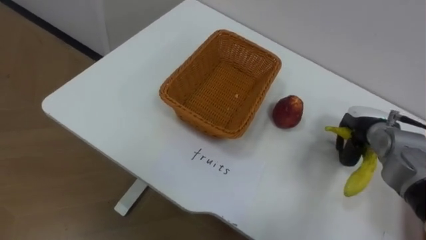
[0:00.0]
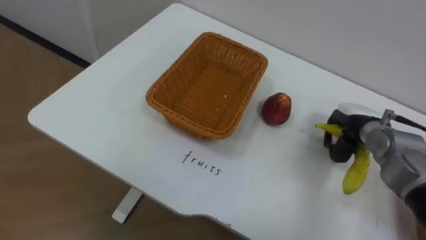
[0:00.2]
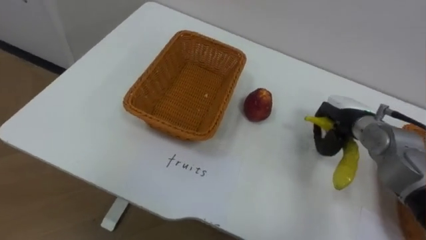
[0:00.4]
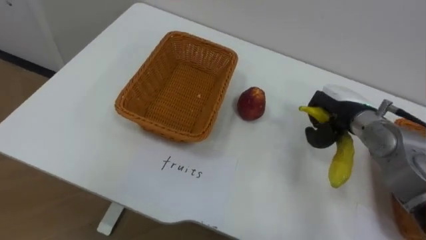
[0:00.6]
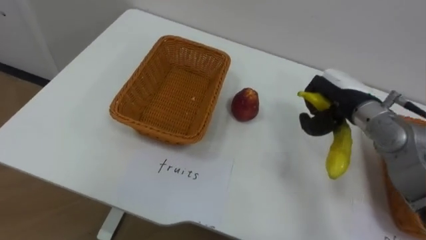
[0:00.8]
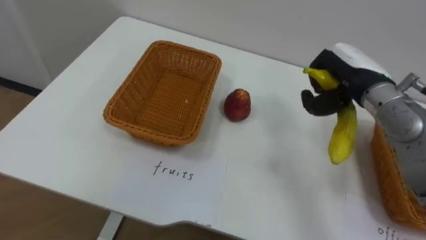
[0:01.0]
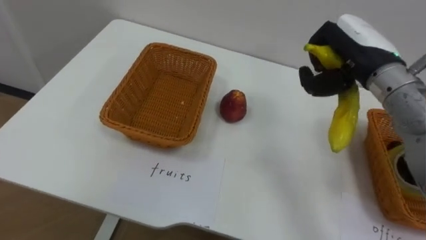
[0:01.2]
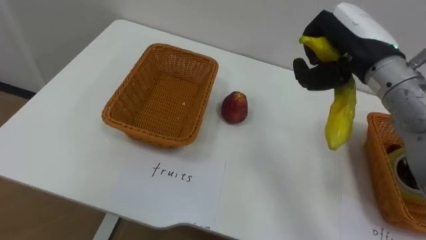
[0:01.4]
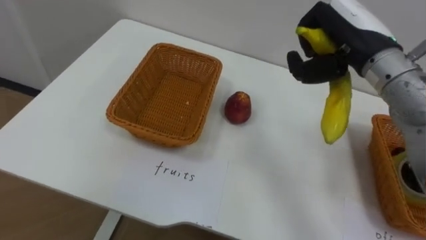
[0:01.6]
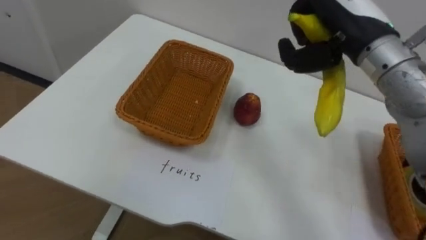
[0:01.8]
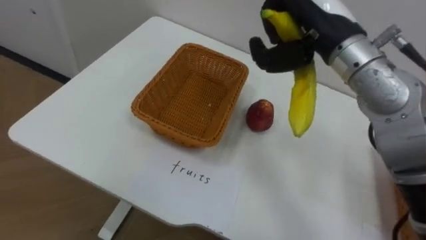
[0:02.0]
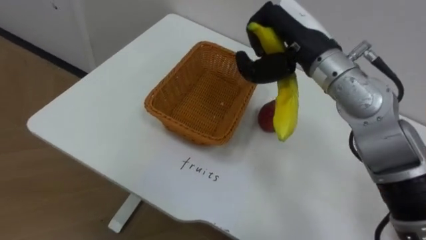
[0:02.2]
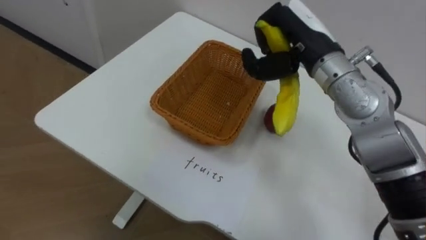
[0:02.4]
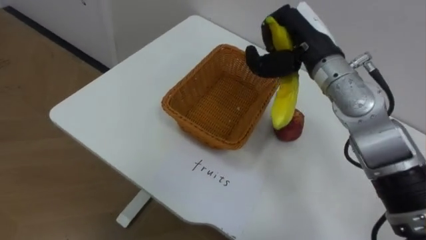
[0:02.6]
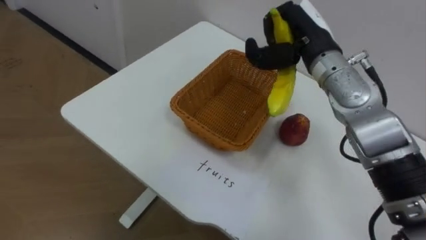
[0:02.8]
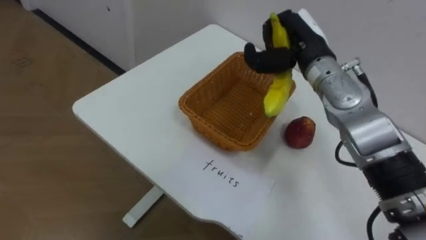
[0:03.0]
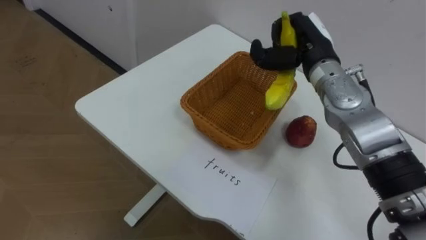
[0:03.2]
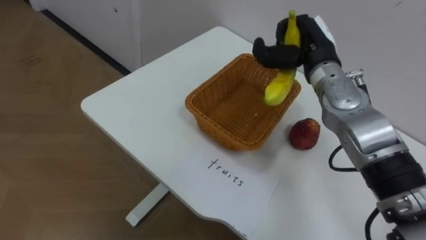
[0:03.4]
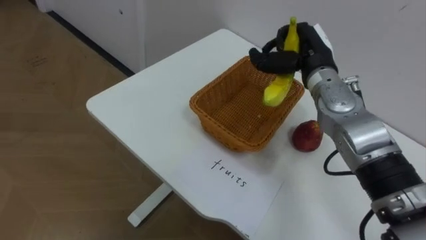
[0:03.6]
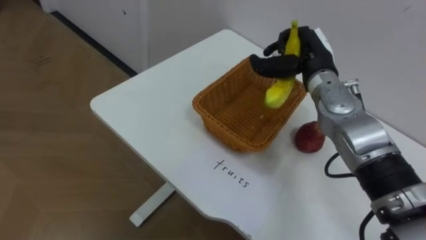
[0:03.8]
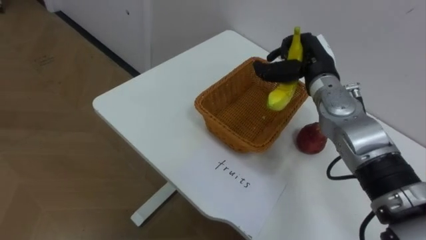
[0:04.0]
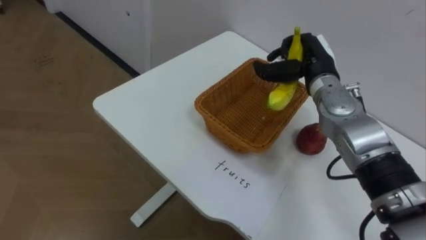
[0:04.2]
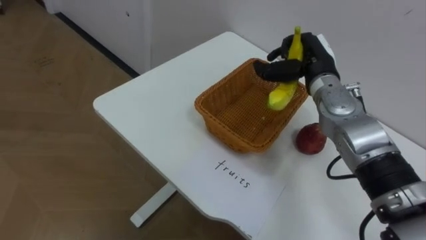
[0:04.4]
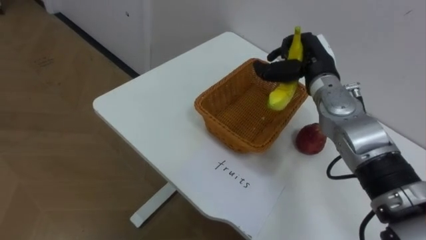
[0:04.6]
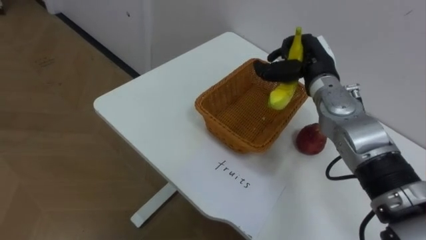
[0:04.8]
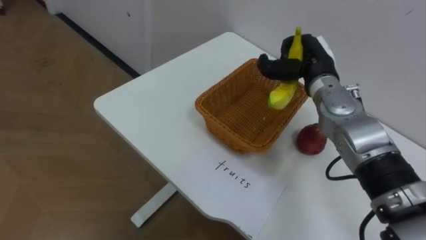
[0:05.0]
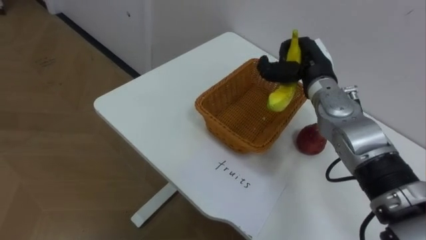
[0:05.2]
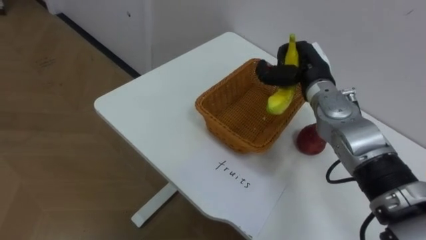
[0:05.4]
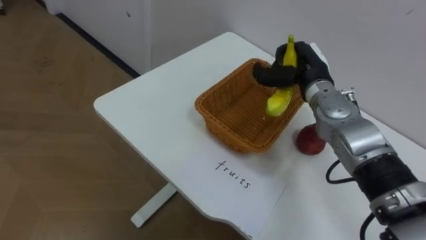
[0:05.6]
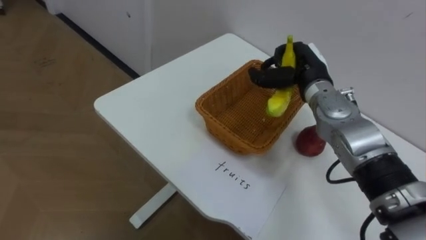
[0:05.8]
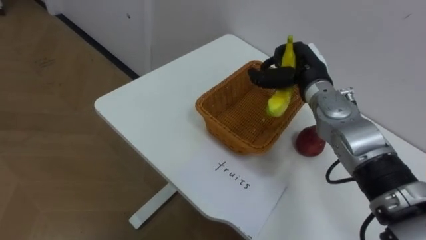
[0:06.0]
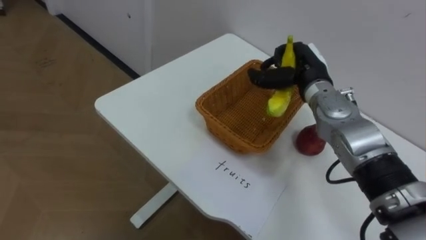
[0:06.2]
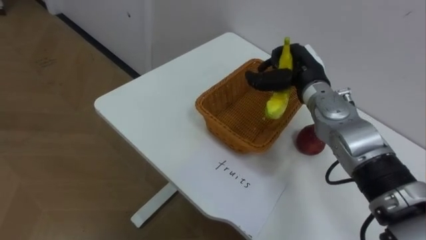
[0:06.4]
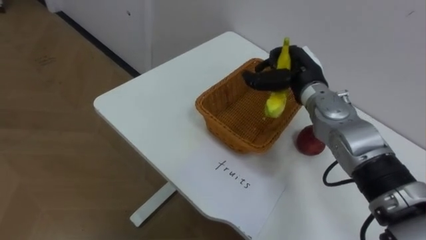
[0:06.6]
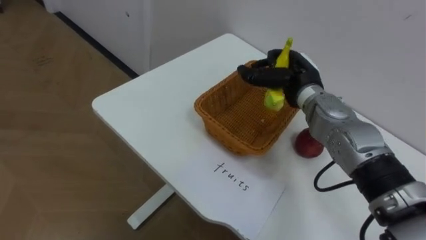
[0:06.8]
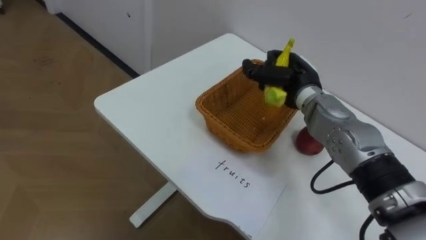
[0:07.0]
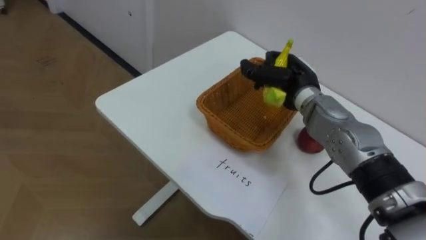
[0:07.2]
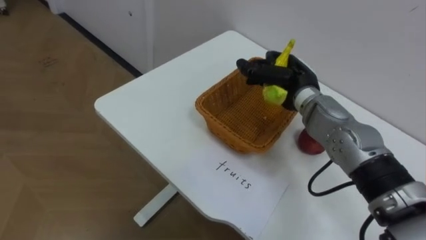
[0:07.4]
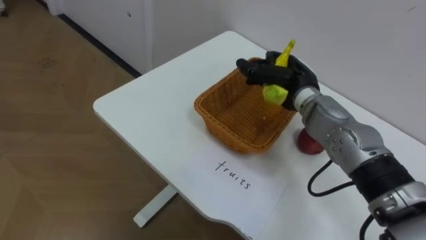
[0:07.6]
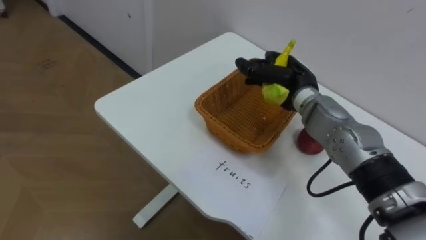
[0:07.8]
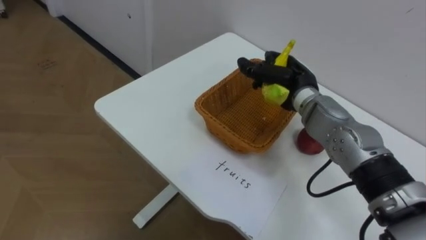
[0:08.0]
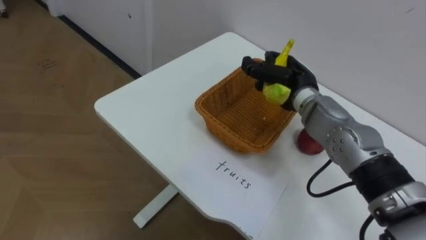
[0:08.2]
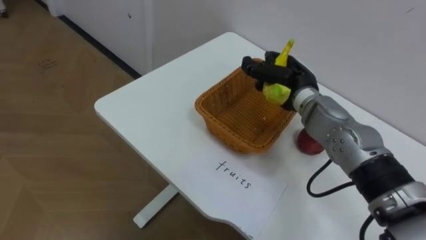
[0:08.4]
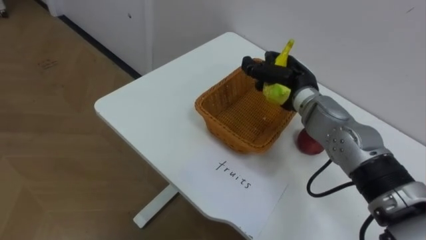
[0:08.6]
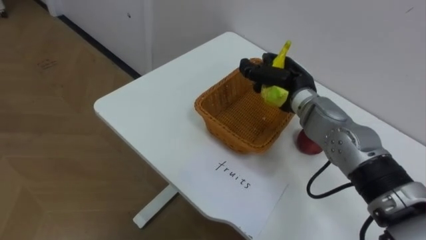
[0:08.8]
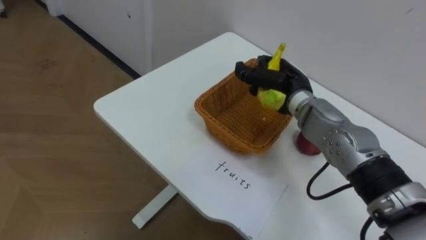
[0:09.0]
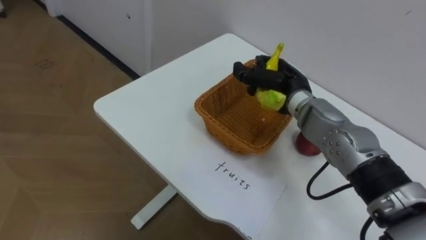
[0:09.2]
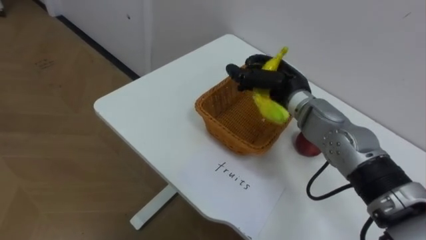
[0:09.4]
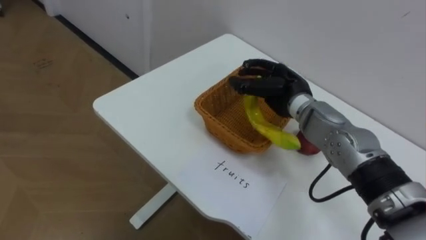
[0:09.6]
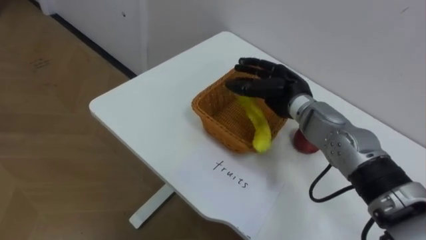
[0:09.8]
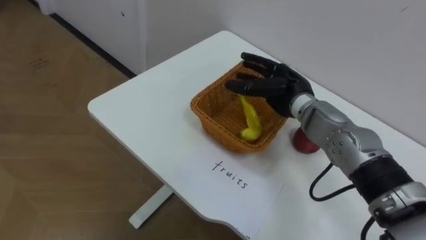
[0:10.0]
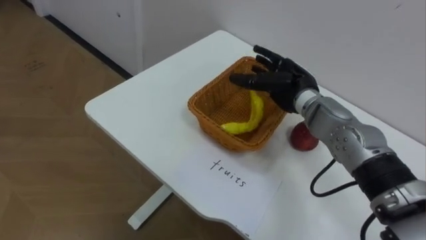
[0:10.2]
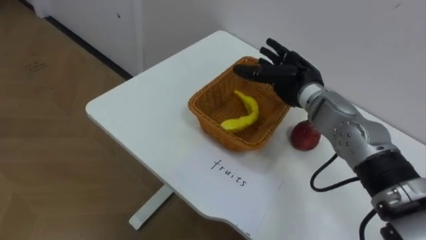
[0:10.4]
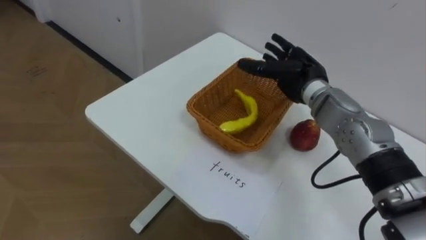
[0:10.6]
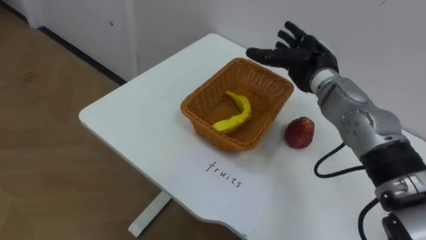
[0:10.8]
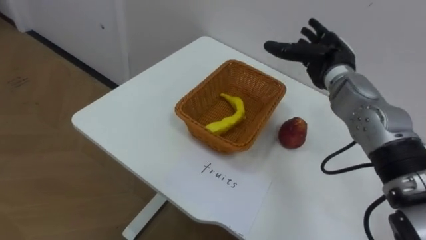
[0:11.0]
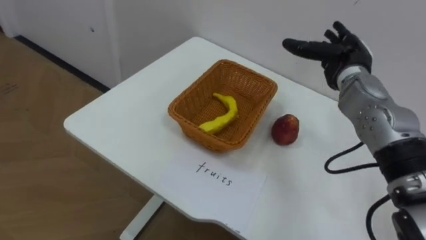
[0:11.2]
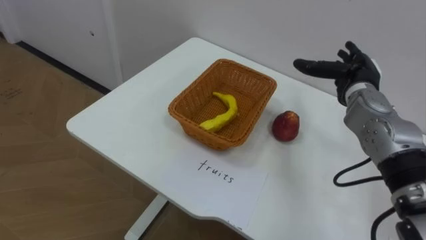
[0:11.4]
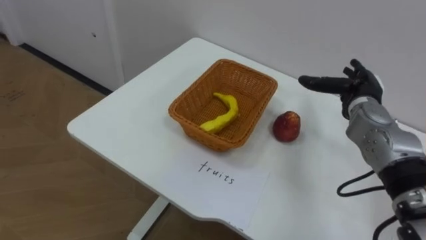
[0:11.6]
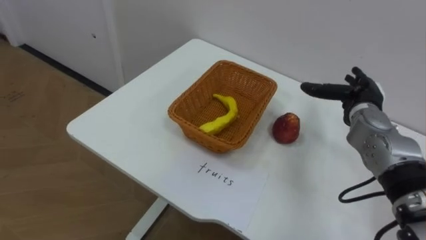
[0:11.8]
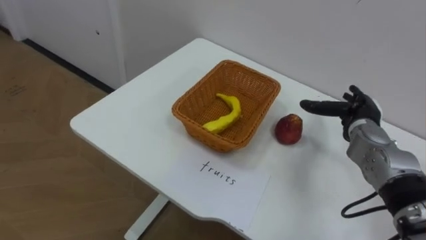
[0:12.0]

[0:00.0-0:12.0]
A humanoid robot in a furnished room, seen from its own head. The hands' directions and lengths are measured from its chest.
Task of the whole recording: Separate the items on the table and place them into the two baskets.
0:00.0 to 0:01.6: The right hand shifts approximately 25 cm upward and to the left.
0:01.6 to 0:03.0: The right hand shifts some 10 cm downward, to the left and forward.
0:03.0 to 0:04.4: The right hand ends up approximately 5 cm from where it was.
0:09.0 to 0:10.4: The right hand opens.
0:10.4 to 0:12.0: The right hand moves to the right and downward, some 15 cm.

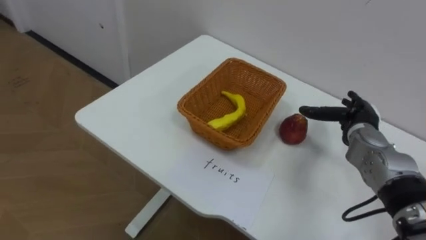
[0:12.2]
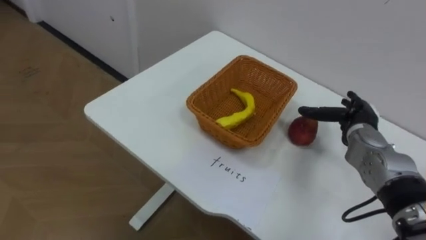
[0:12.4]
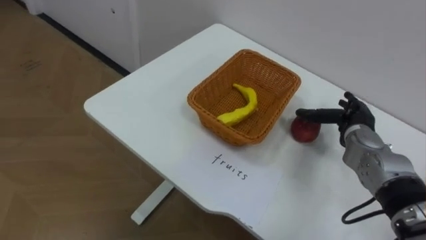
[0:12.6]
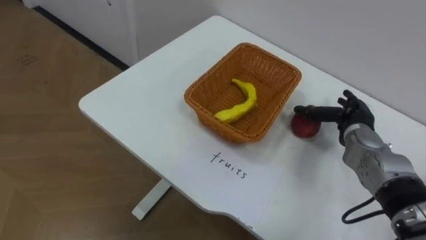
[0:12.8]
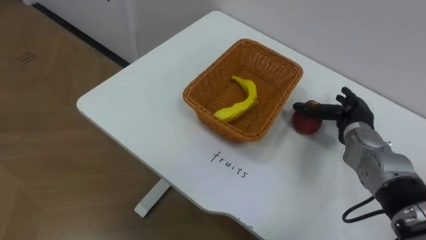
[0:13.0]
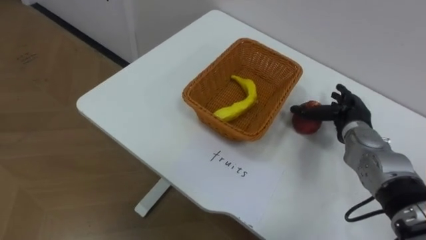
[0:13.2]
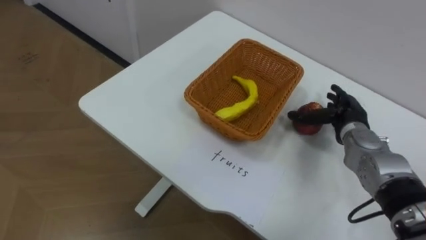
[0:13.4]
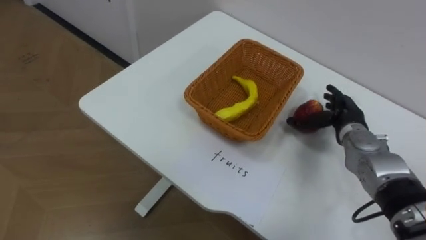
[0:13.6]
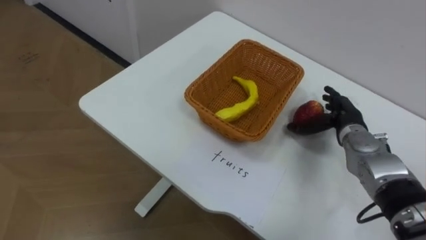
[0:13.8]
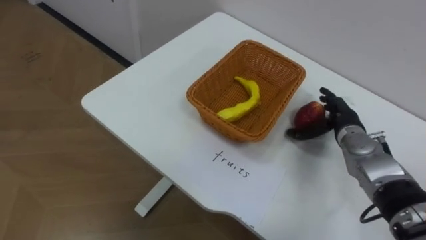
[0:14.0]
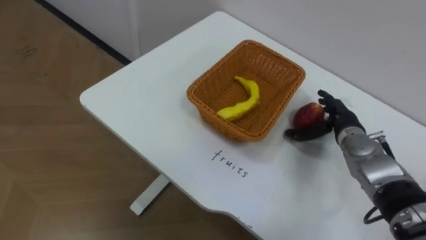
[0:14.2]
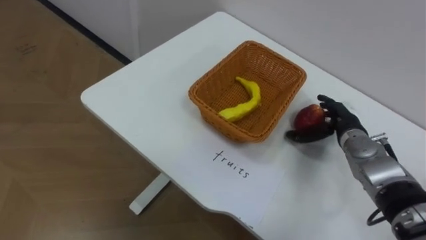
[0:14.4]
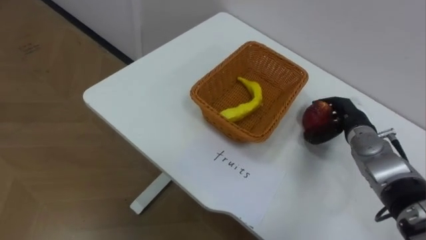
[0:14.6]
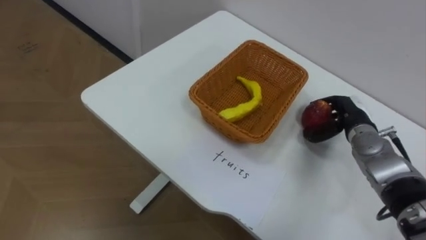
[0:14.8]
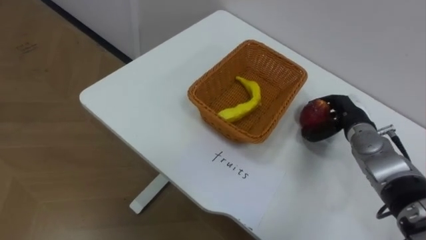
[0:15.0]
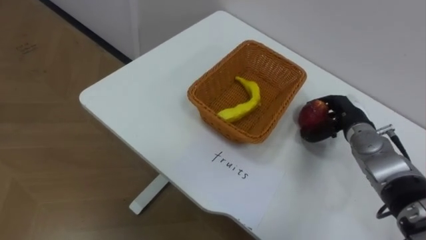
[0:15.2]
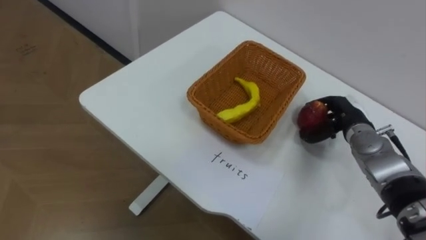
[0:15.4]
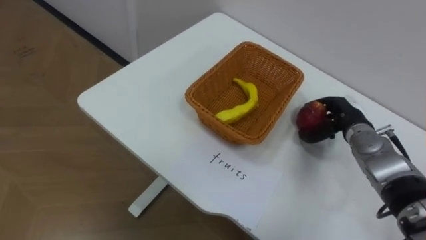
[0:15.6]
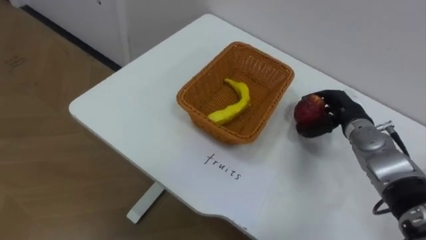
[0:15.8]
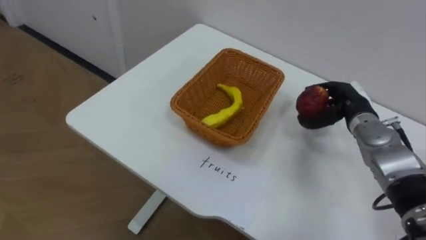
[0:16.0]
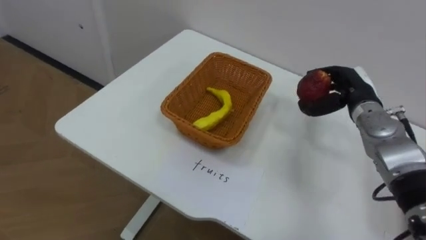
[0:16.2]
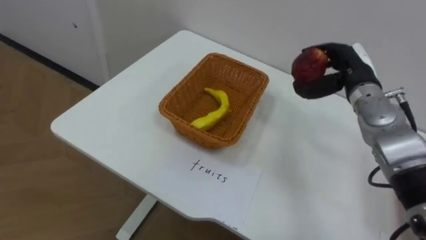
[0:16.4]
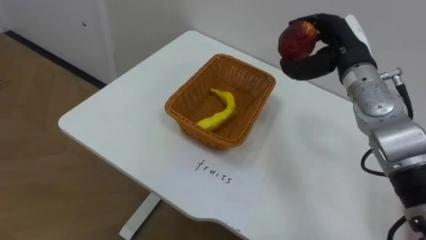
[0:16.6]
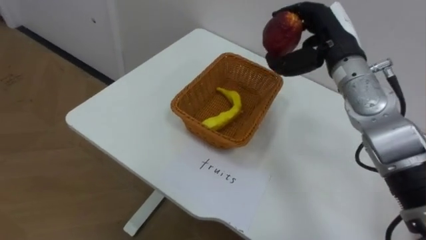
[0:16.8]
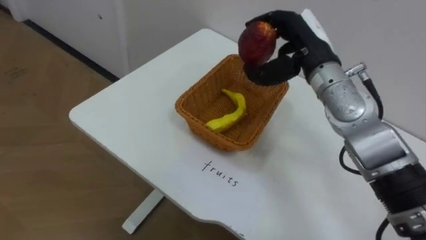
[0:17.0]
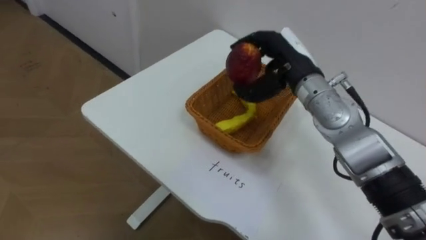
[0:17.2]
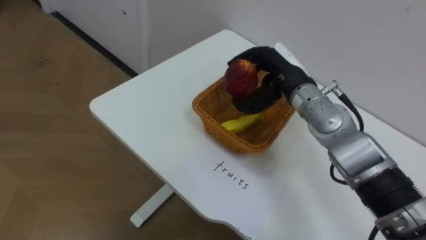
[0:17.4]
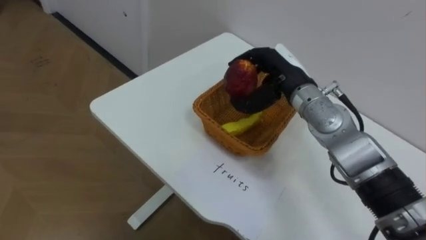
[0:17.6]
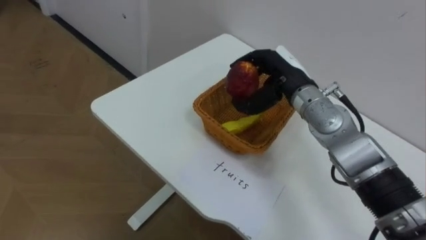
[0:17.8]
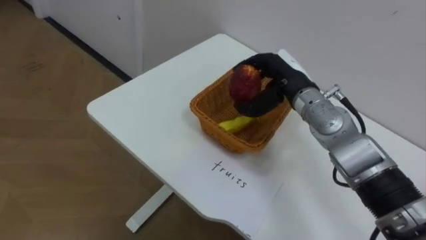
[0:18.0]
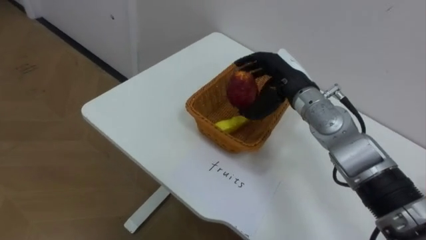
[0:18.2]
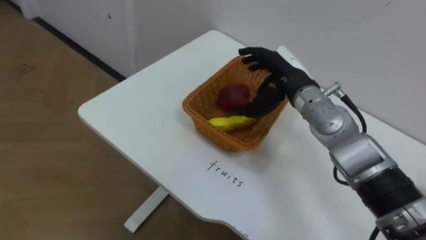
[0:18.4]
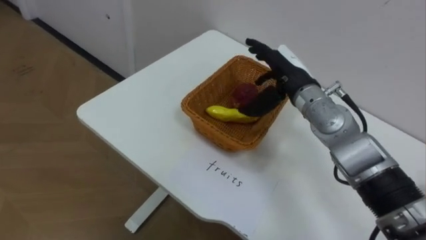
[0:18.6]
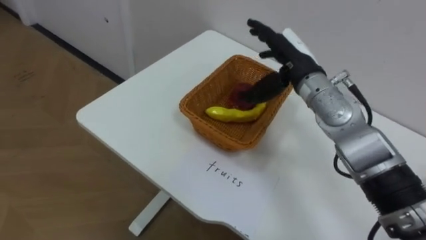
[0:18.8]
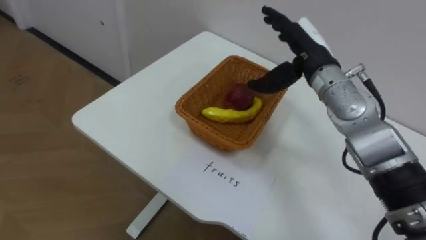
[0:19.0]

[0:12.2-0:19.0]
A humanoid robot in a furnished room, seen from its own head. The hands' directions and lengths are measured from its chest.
Task of the whole recording: Separate the items on the table and place them into the two baskets.
0:13.6 to 0:15.0: The right hand closes.
0:15.0 to 0:16.2: The right hand is displaced upward by some 5 cm.
0:16.2 to 0:17.6: The right hand moves to the left and upward, some 15 cm.
0:17.6 to 0:19.0: The right hand moves roughly 5 cm, and opens.
